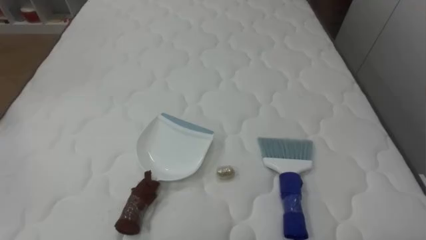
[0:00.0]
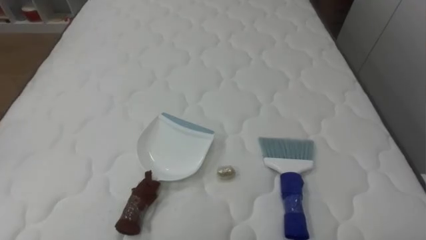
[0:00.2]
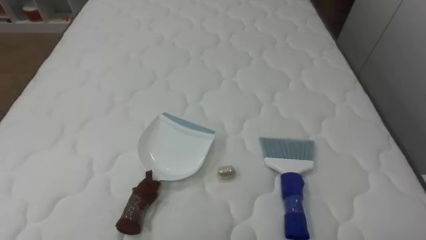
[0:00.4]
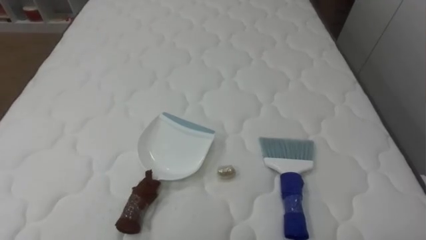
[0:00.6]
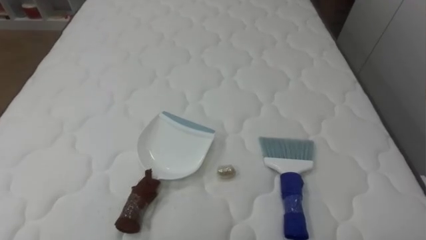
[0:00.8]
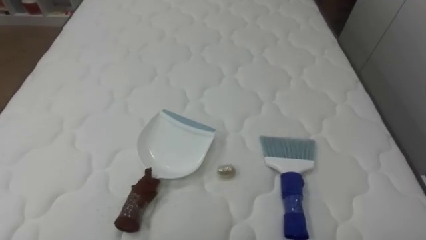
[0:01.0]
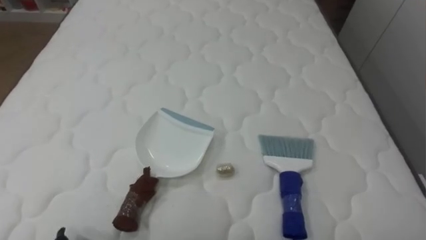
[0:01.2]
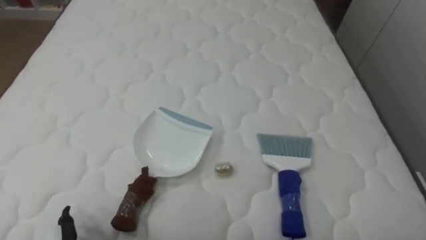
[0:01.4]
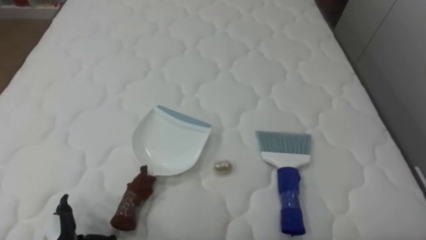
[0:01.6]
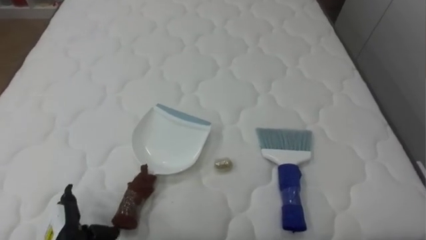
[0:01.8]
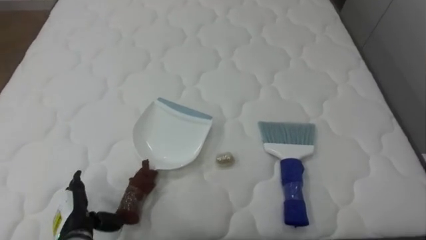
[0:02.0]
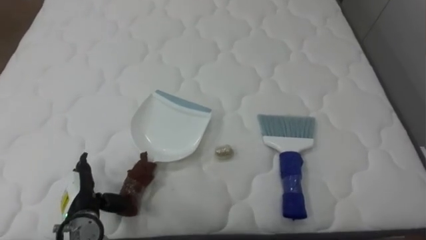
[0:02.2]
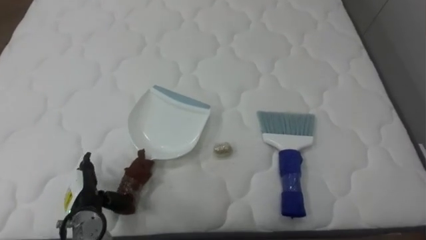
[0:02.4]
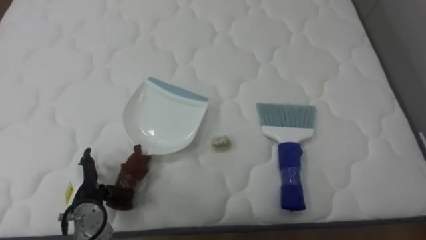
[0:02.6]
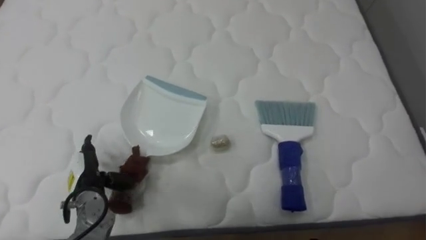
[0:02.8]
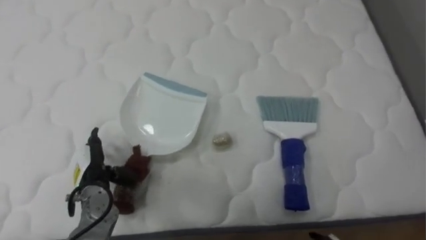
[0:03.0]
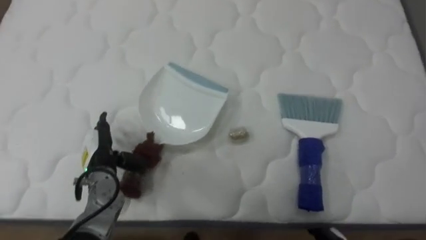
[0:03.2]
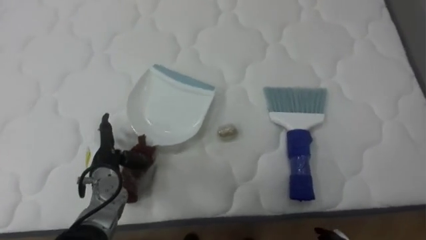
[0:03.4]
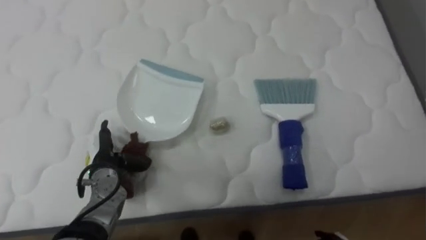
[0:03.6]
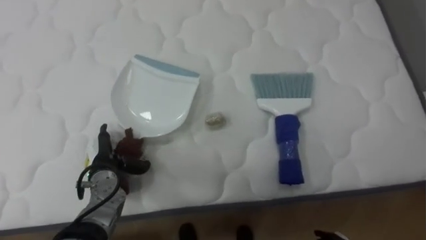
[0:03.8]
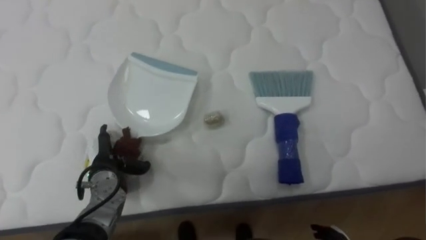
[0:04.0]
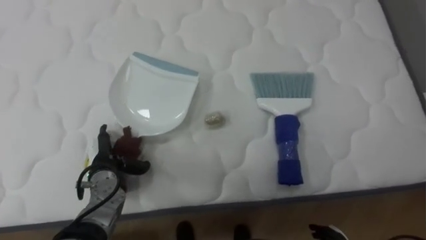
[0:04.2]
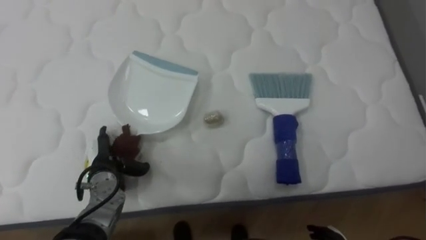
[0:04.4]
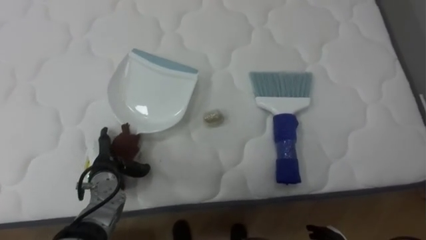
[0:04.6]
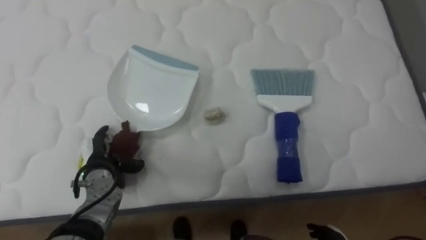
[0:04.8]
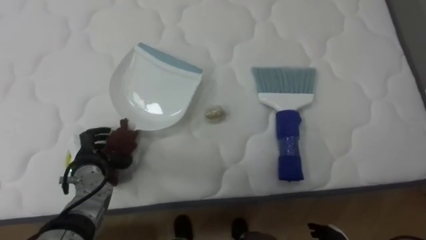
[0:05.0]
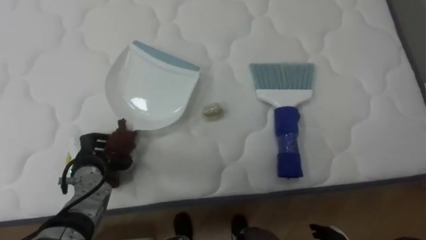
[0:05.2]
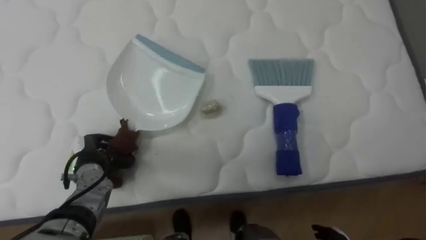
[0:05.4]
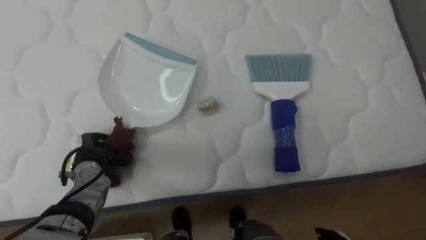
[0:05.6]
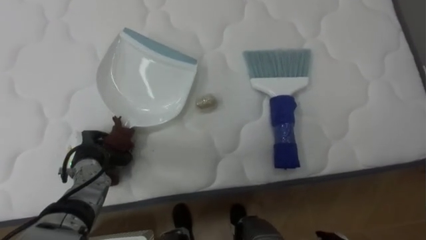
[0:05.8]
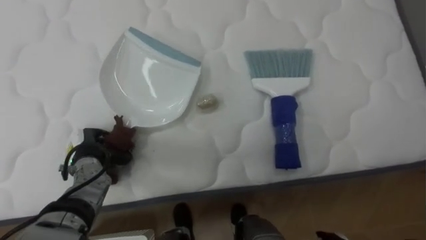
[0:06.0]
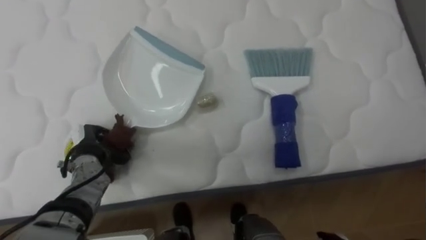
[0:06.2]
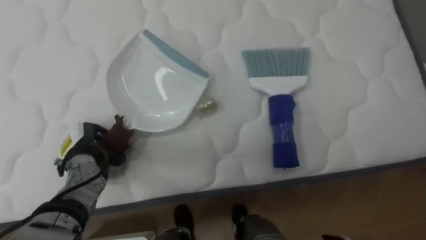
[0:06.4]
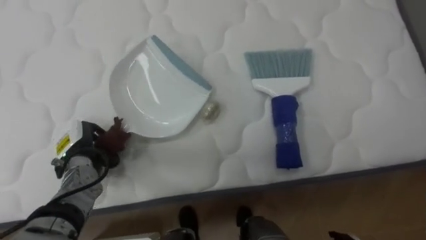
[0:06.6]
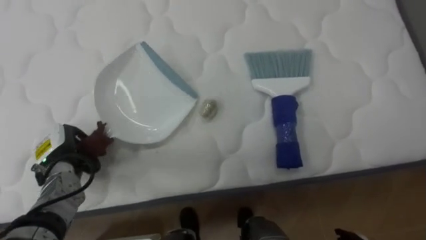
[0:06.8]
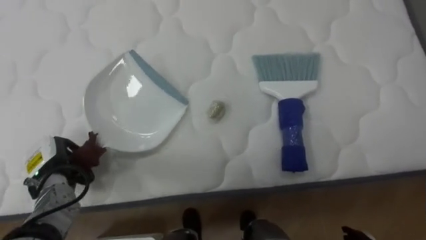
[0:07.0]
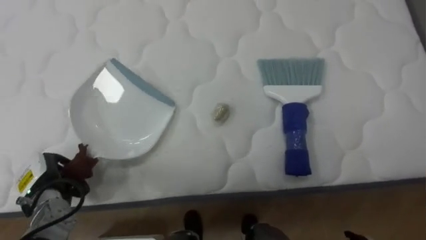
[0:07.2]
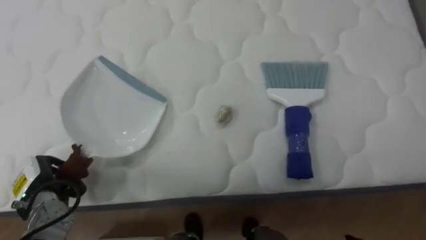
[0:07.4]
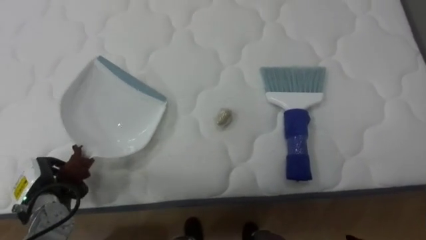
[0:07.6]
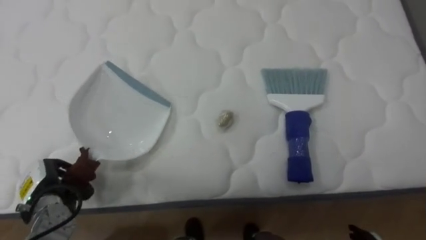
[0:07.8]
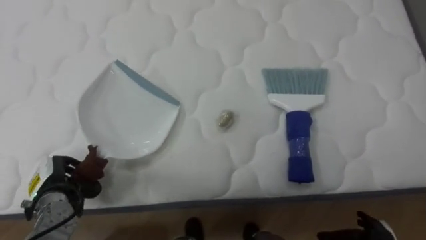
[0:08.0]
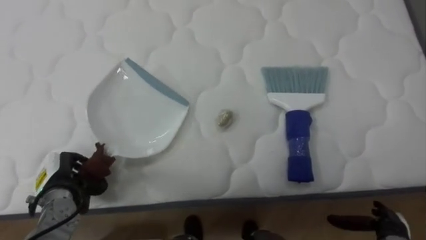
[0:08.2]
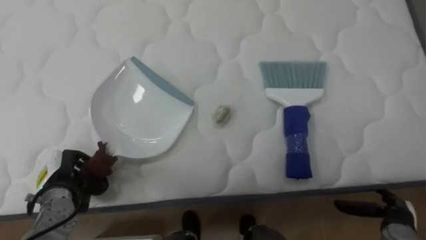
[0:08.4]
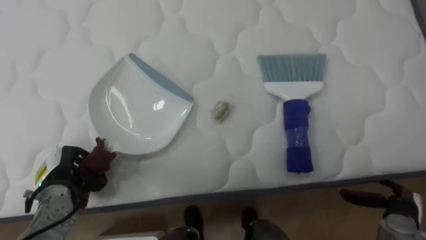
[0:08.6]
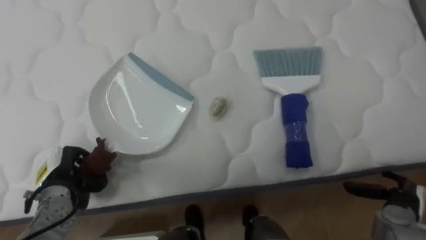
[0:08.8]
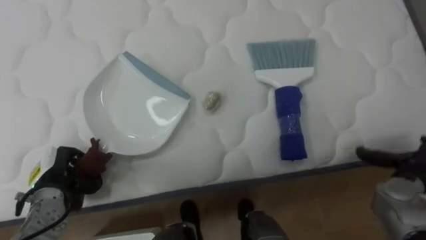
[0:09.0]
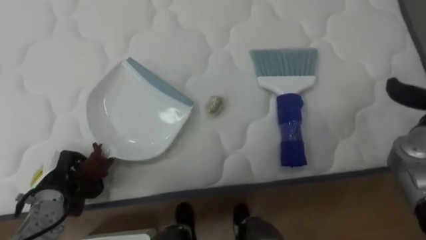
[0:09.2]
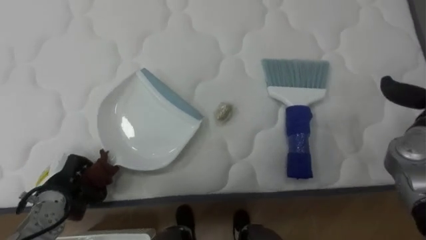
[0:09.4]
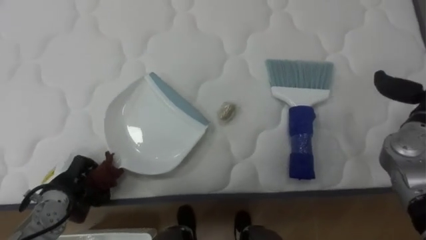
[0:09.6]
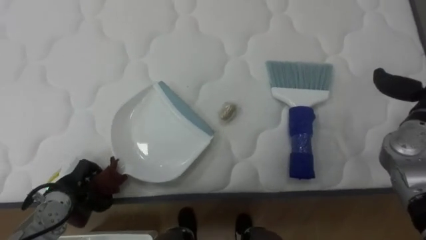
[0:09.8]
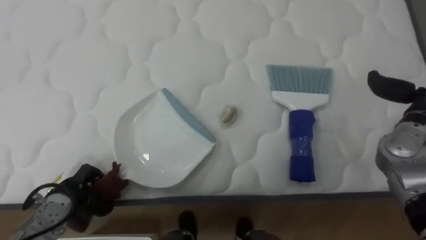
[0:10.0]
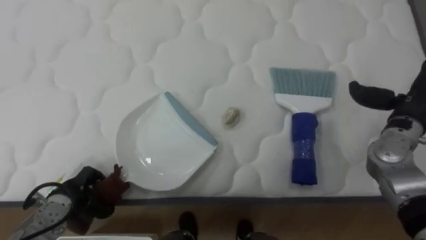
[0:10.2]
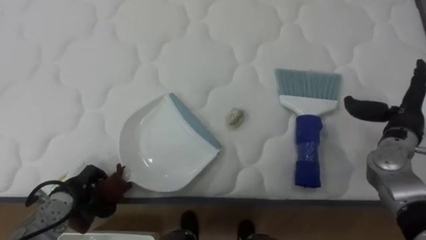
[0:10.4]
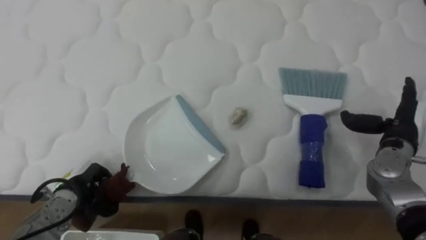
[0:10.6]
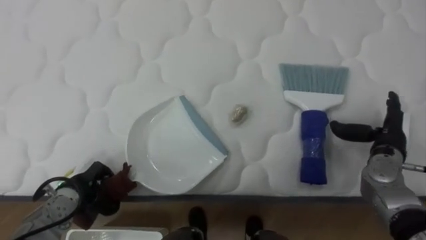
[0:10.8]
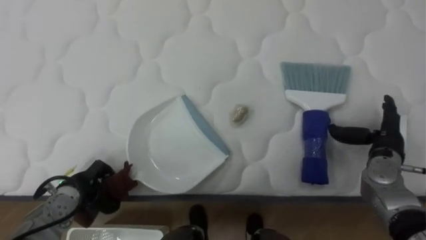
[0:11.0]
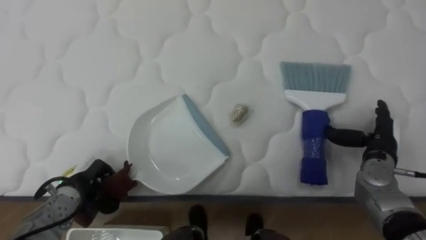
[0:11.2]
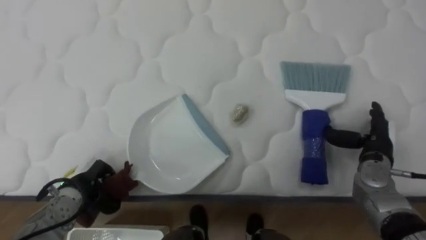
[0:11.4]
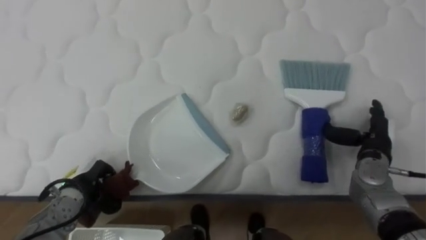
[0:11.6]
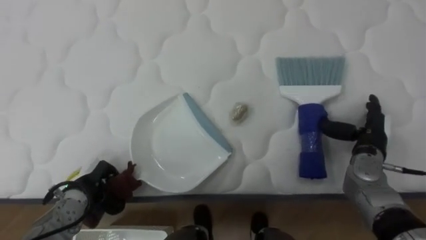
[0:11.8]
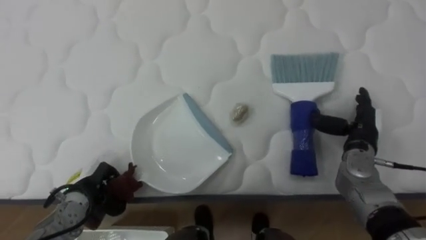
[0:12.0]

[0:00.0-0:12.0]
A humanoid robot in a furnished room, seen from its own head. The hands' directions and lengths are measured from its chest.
Task of the whole recording: Pick up the brush on your right and the dustpan on your left. Use the brush to sweep the crumpled paper on the bed into the dustpan, then turn left and empty it into the basket.
1.6 to 3.0 s: The left hand goes roughly 15 cm forward.
4.4 to 6.0 s: The left hand closes.
6.0 to 7.6 s: The left hand heads to the left and backward, covering about 10 cm.
10.4 to 12.0 s: The right hand heads to the left and downward, covering approximately 10 cm.

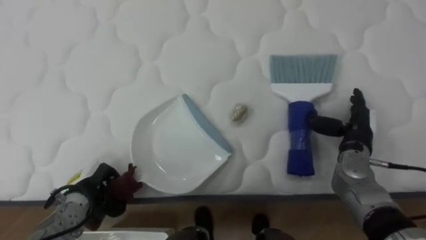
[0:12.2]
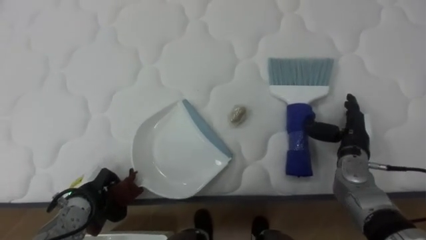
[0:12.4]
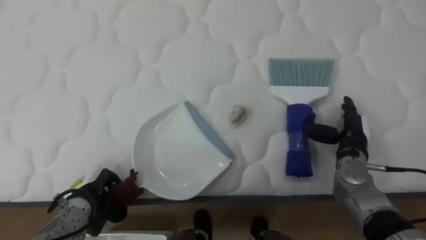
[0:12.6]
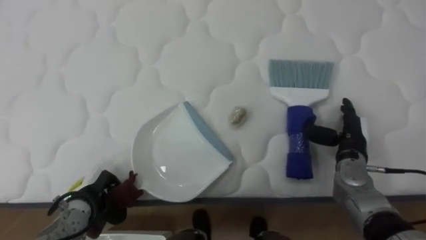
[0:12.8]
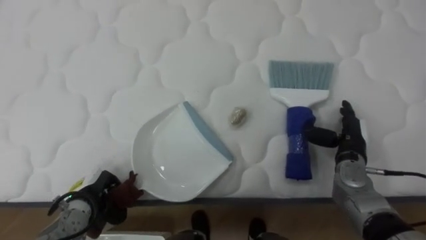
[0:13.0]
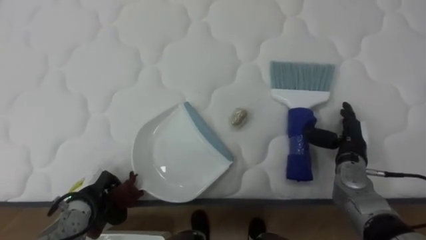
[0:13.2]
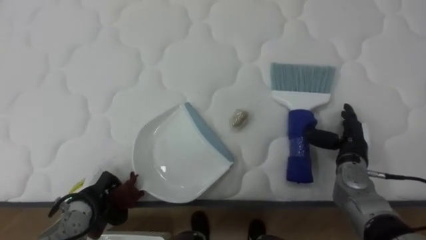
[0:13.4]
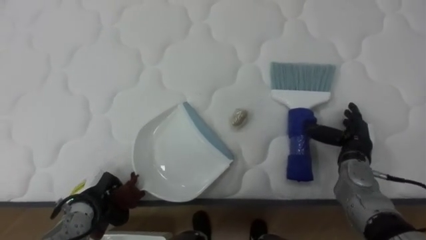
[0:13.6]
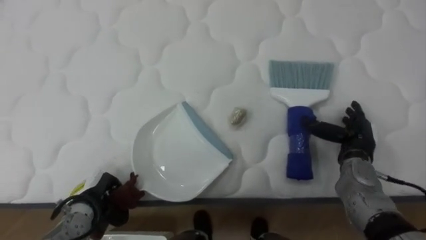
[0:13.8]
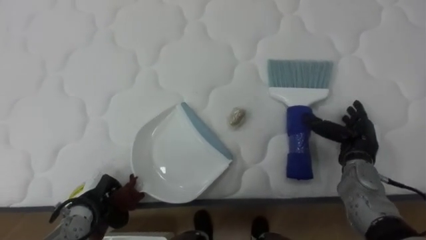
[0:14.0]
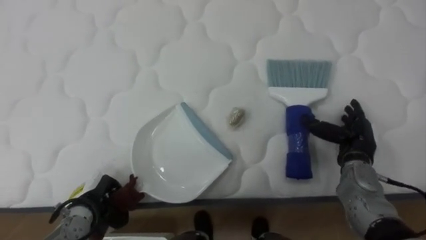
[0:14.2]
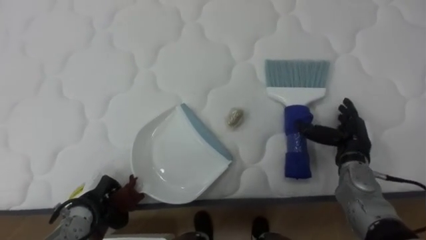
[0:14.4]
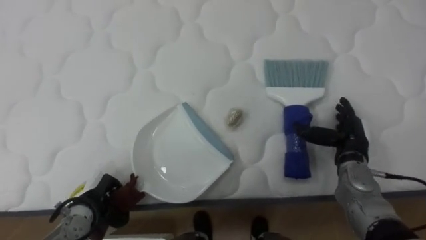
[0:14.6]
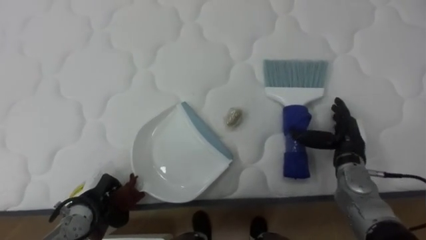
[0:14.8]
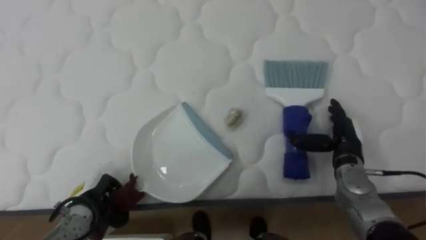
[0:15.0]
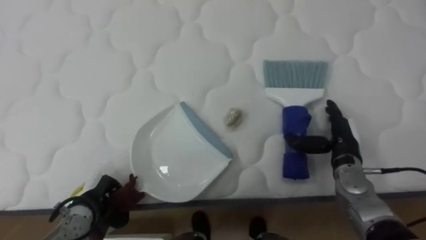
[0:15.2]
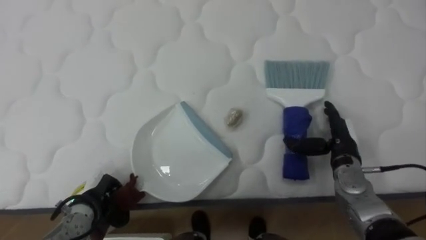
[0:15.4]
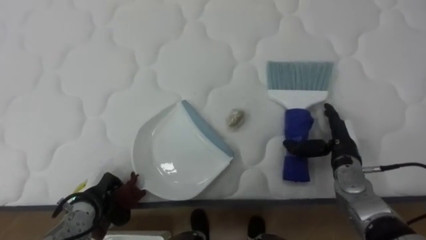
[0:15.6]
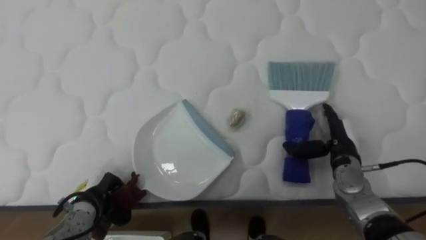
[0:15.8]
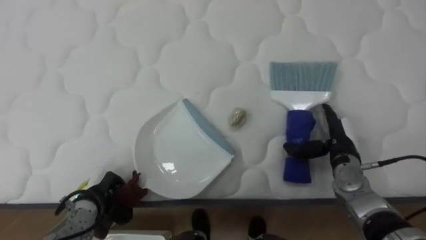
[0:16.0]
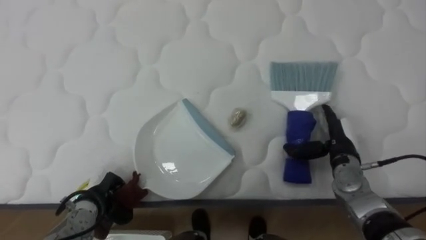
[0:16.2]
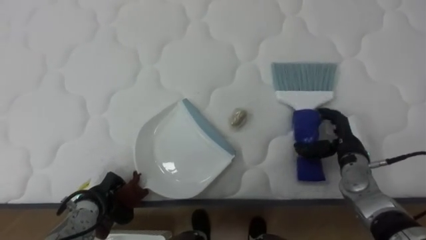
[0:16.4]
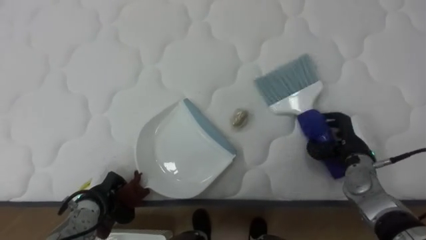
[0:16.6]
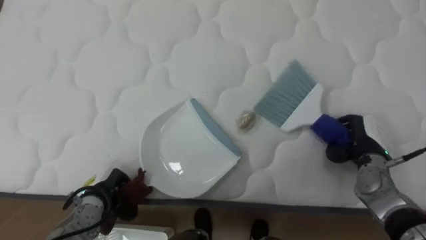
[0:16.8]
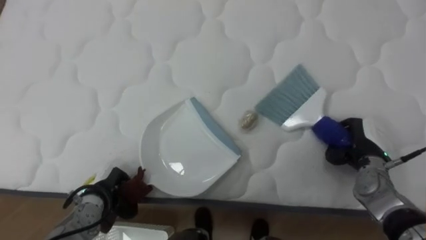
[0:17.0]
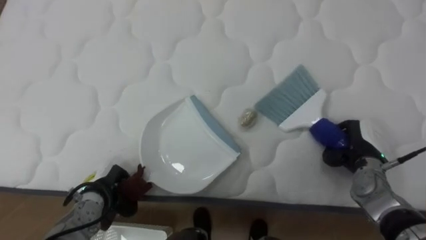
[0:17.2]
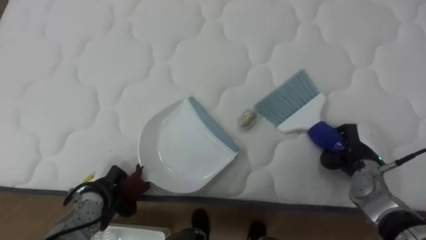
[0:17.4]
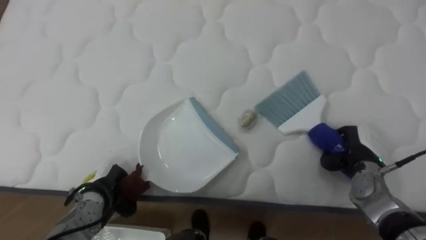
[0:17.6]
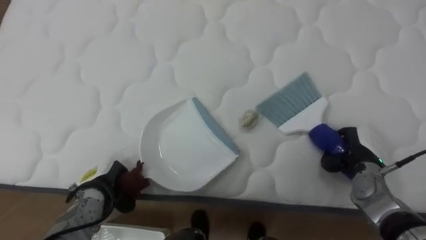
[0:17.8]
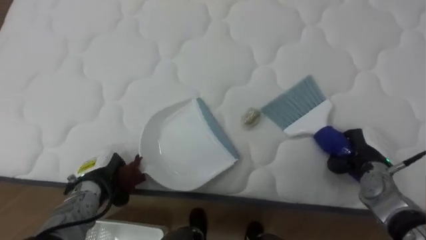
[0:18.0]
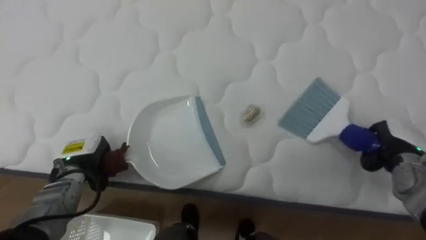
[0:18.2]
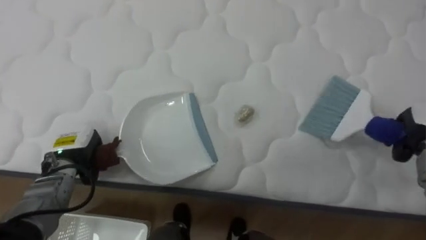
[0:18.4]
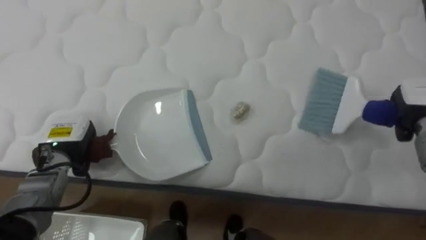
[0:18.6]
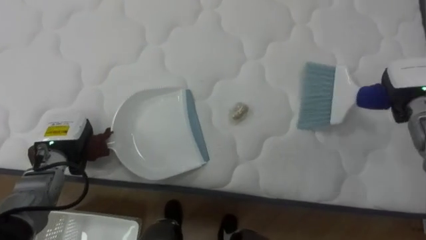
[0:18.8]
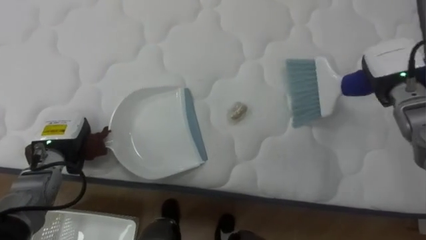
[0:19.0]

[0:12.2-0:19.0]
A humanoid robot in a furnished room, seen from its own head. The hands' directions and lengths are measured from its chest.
Task of the whole recording: Pick up the brush on your right and the dustpan on your left. Use the brush to sweep the crumpled paper on the bed into the dustpan, then turn left and empty it into the basket.
13.6 to 15.0 s: The hands stay close to where they were, moving slightly.
16.2 to 17.6 s: The right hand ends up roughly 5 cm from where it was, and closes.
17.6 to 19.0 s: The left hand shifts about 15 cm upward, forward and to the left.
